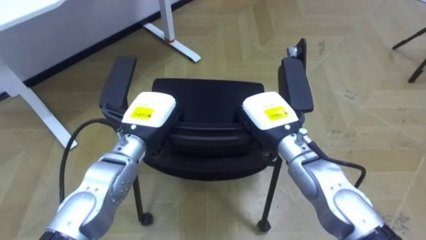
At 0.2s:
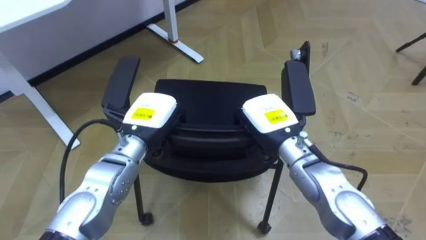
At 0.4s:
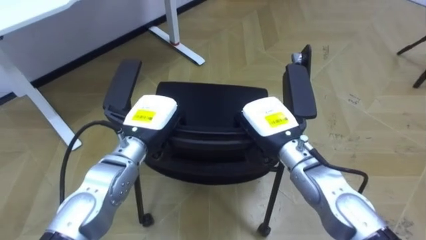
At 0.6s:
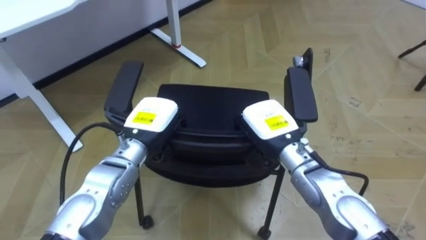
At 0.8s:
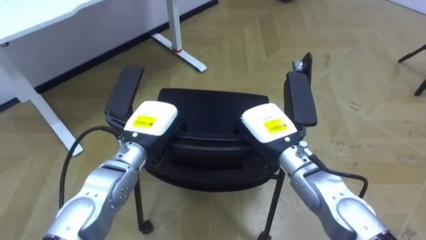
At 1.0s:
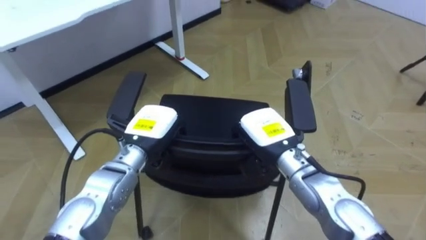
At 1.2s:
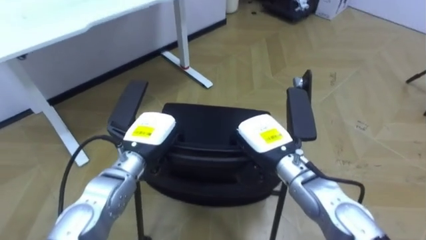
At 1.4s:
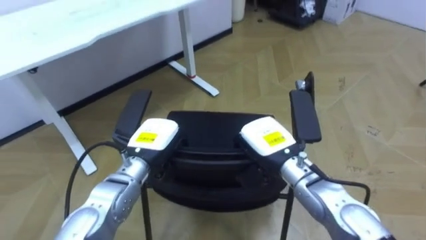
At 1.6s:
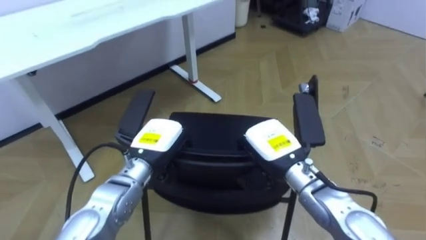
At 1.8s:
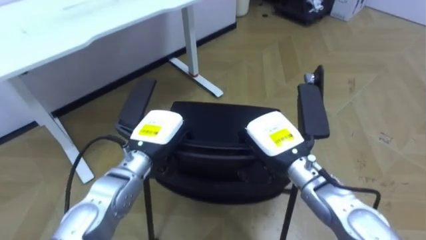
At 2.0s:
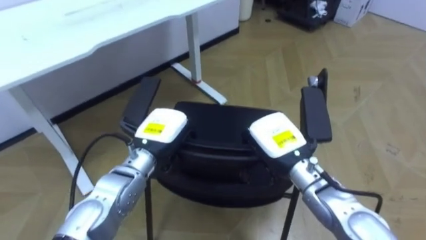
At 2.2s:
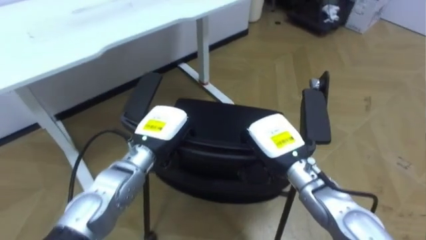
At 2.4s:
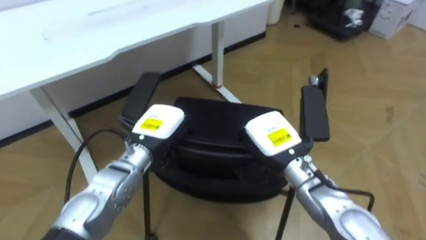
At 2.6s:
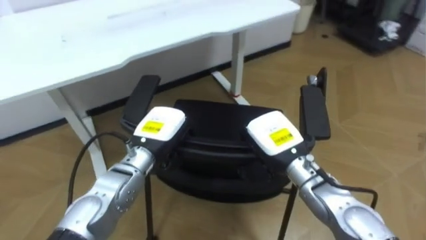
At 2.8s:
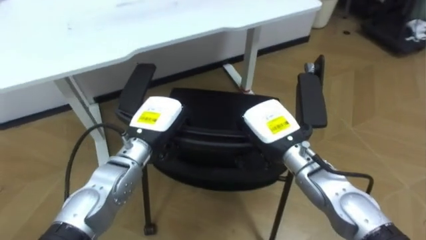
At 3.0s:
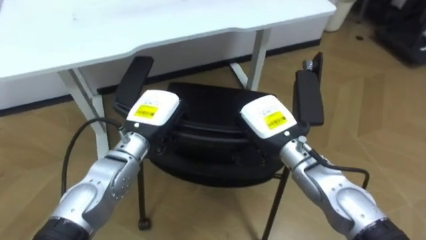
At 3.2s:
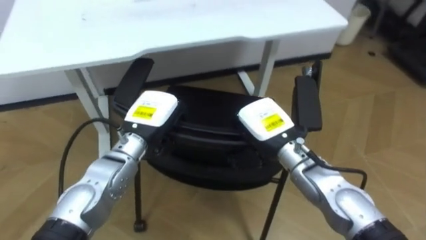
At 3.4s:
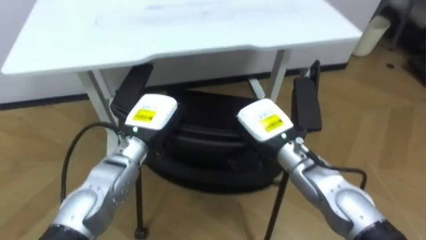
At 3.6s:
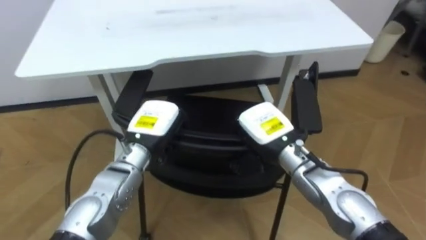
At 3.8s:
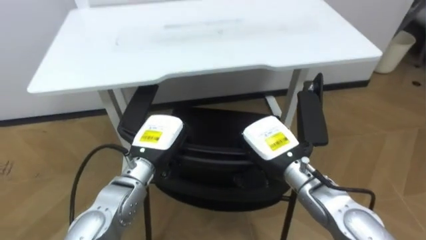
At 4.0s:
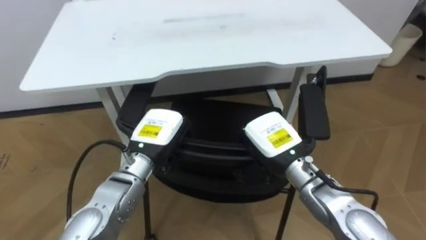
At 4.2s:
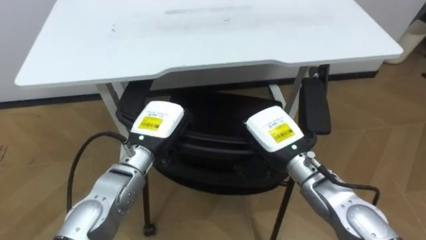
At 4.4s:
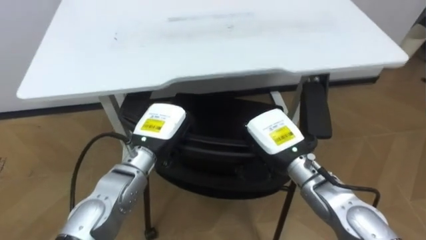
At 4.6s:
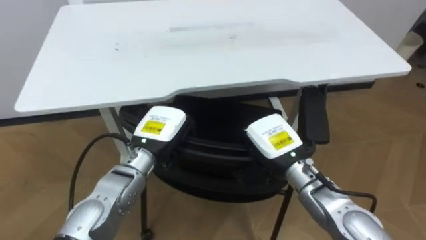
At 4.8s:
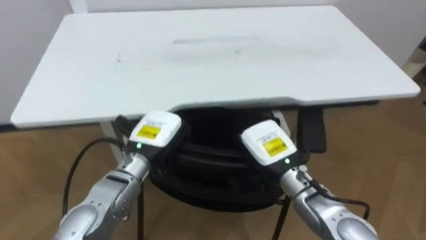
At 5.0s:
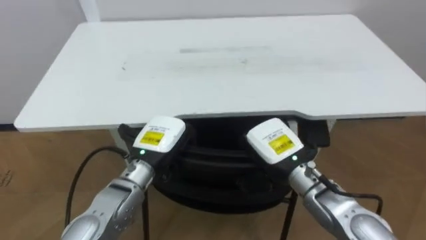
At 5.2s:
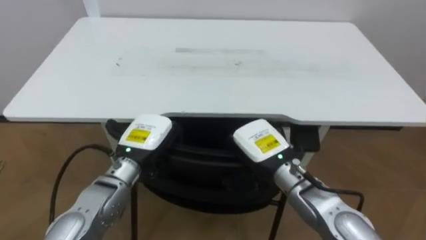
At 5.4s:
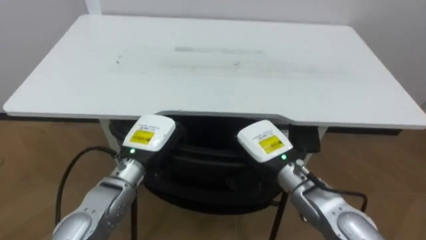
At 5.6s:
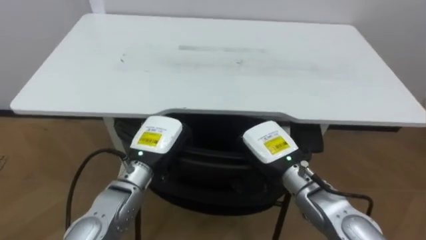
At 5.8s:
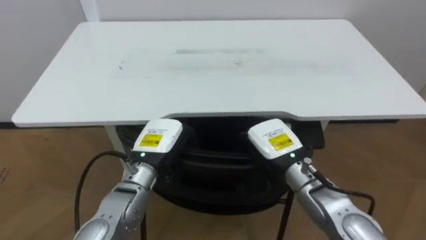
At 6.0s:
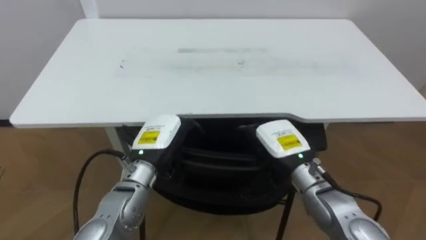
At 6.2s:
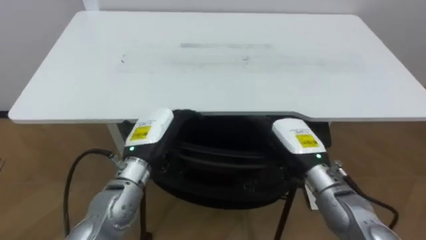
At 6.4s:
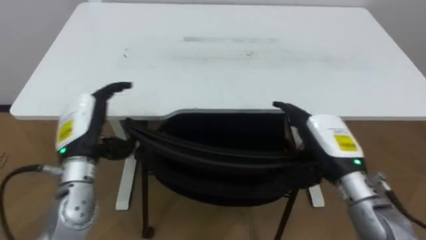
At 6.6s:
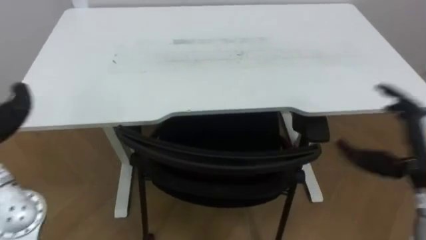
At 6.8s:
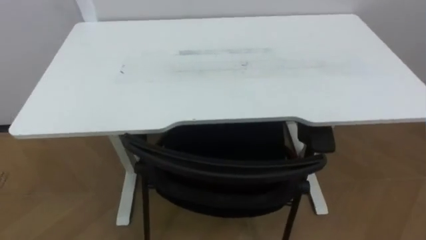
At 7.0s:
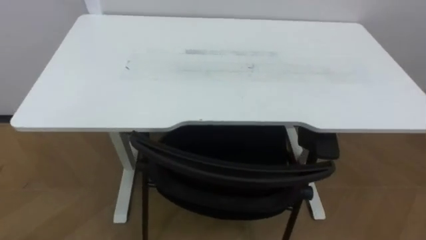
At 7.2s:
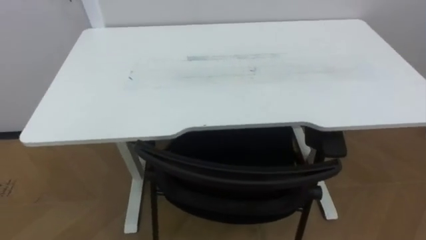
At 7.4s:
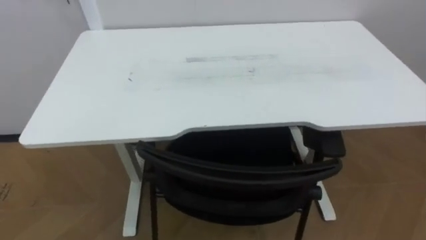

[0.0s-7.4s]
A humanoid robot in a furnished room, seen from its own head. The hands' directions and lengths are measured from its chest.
Task of the whole recording: Push the chair under the table.
0.0s to 1.4s: The right hand moves some 5 cm. The left hand is displaced downward by about 5 cm.
1.4s to 3.0s: The robot's body swings roughly 20 degrees to its left. The left hand changes place by approximately 5 cm.
4.4s to 6.0s: The right hand opens.

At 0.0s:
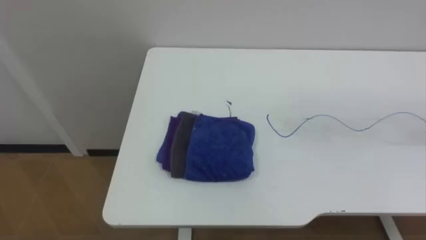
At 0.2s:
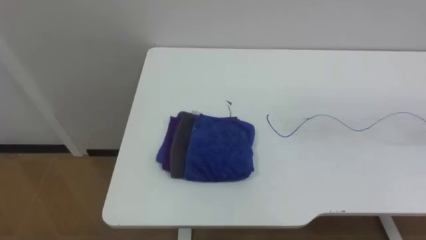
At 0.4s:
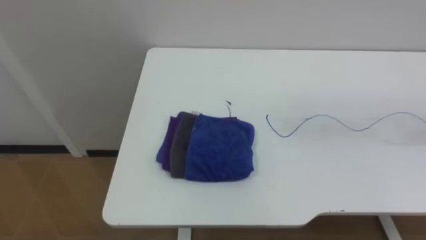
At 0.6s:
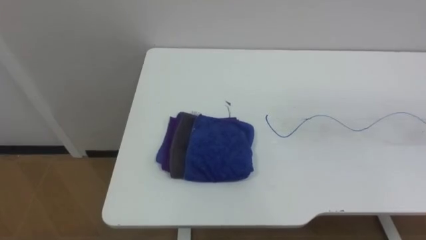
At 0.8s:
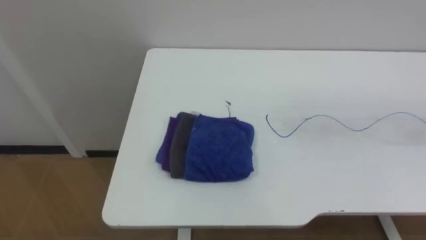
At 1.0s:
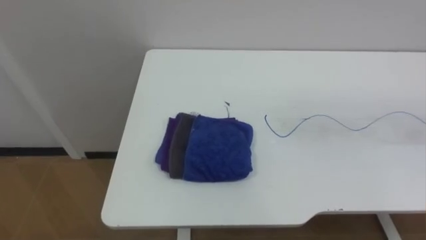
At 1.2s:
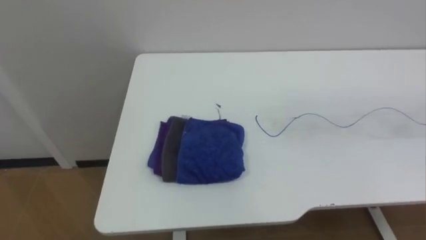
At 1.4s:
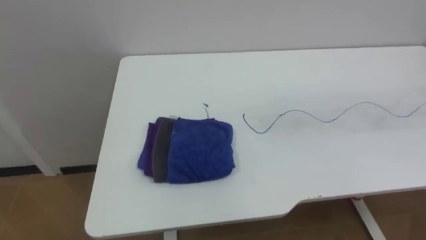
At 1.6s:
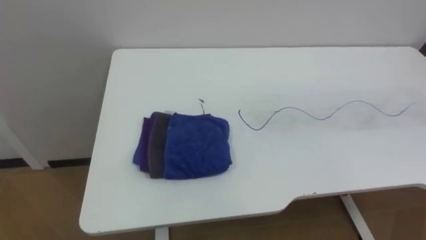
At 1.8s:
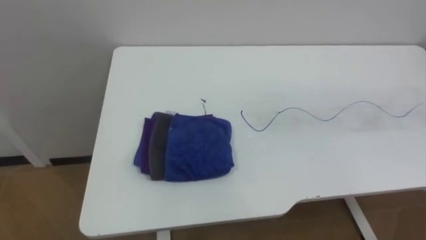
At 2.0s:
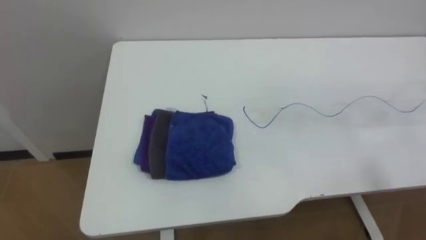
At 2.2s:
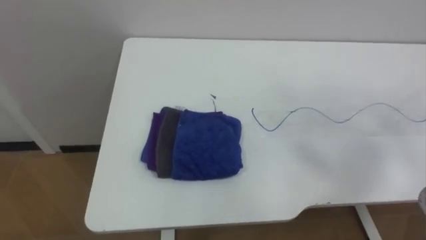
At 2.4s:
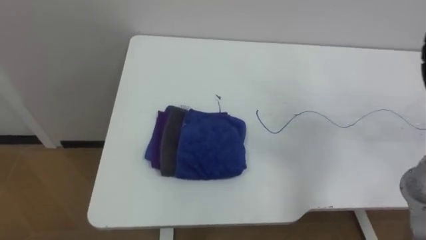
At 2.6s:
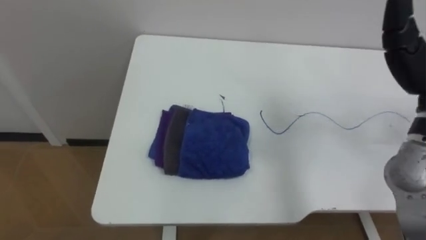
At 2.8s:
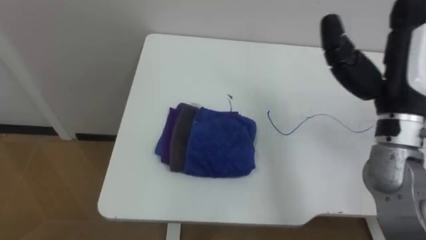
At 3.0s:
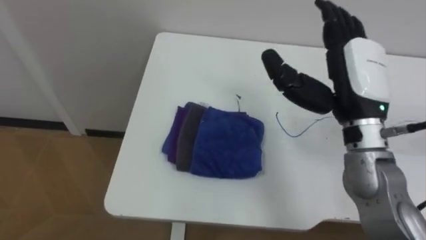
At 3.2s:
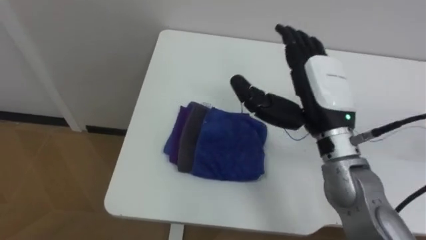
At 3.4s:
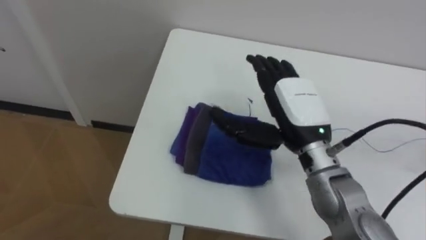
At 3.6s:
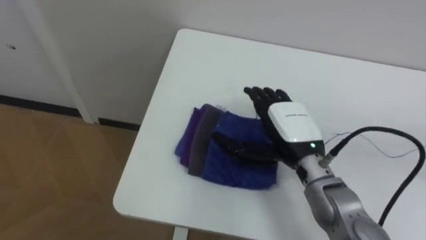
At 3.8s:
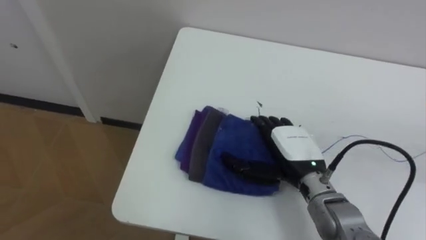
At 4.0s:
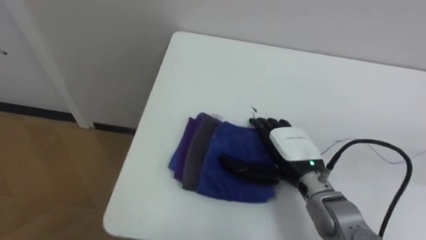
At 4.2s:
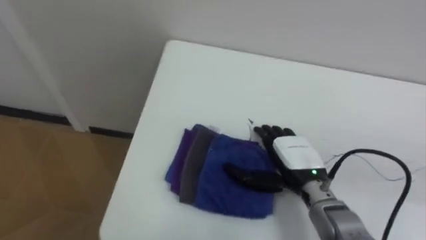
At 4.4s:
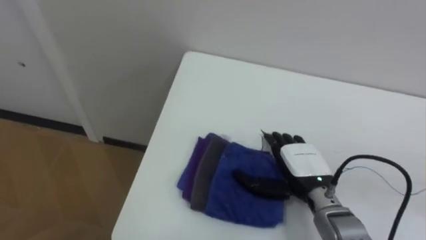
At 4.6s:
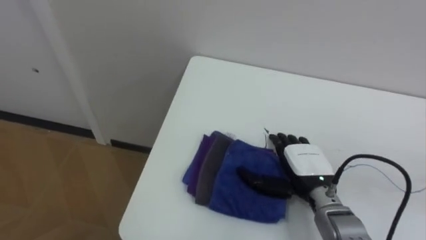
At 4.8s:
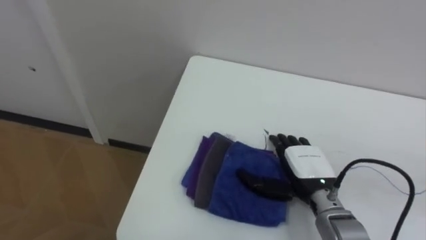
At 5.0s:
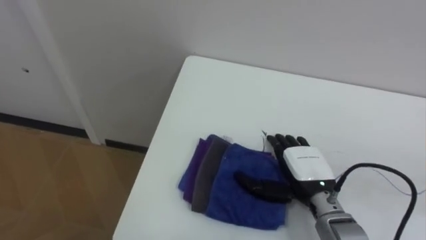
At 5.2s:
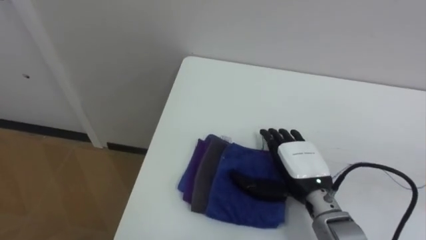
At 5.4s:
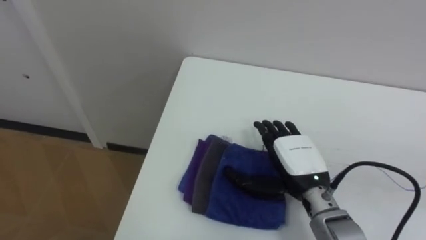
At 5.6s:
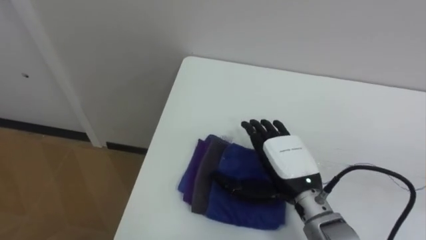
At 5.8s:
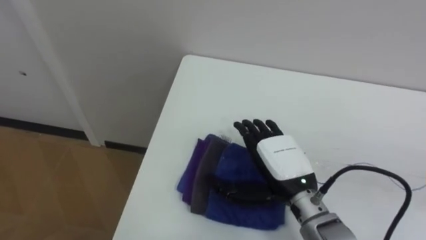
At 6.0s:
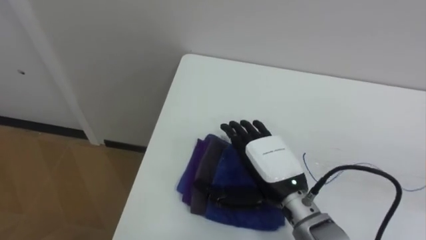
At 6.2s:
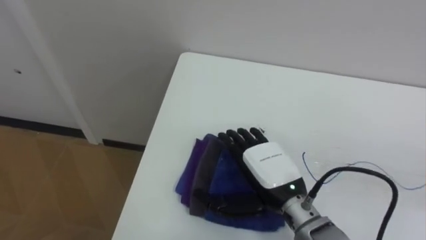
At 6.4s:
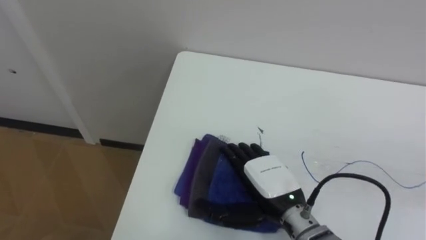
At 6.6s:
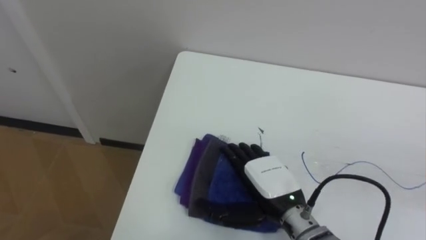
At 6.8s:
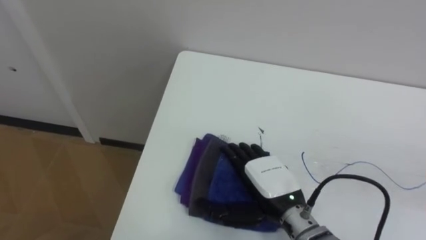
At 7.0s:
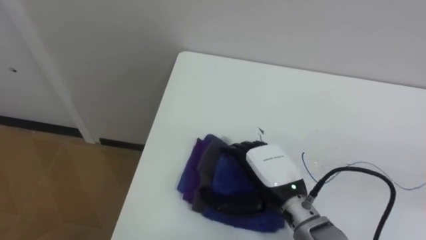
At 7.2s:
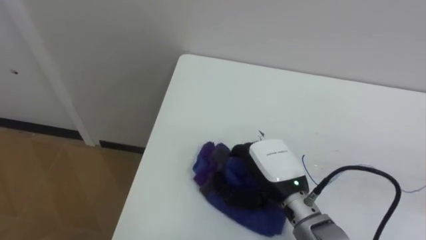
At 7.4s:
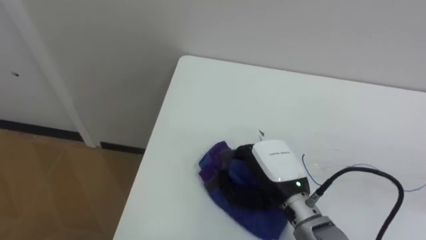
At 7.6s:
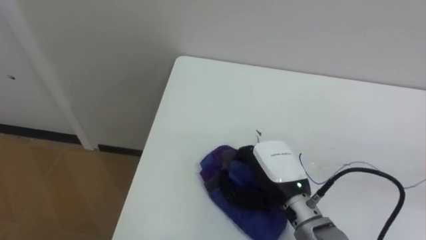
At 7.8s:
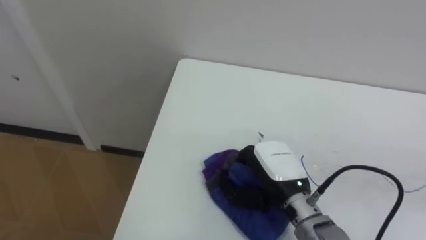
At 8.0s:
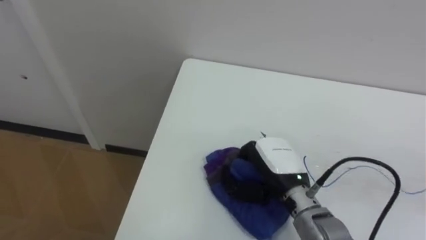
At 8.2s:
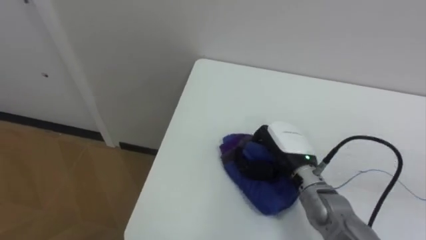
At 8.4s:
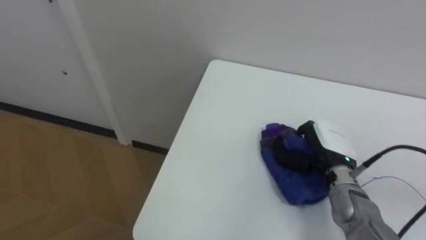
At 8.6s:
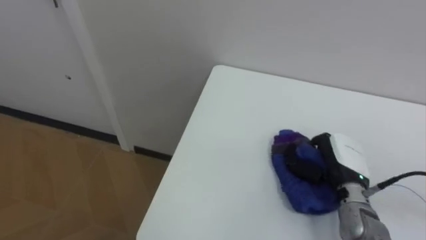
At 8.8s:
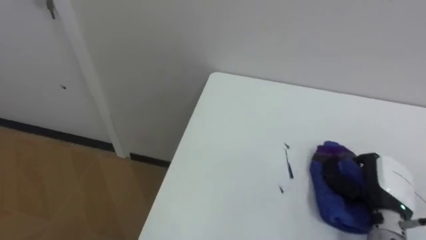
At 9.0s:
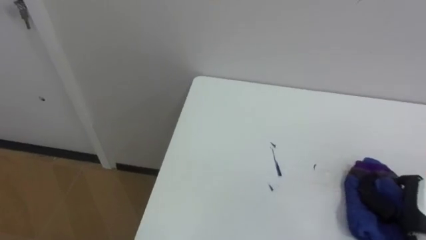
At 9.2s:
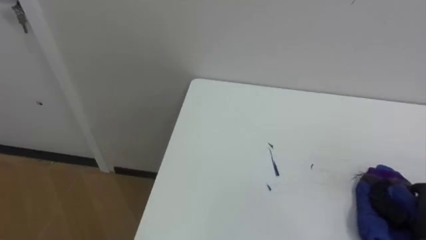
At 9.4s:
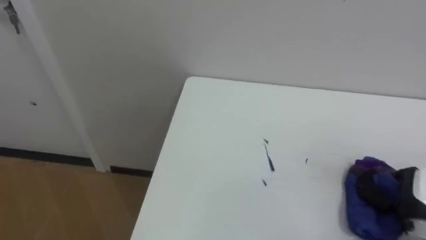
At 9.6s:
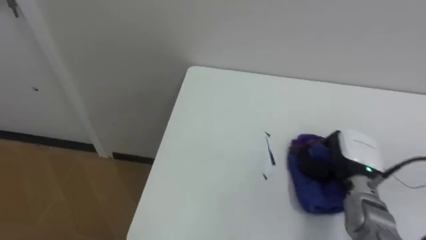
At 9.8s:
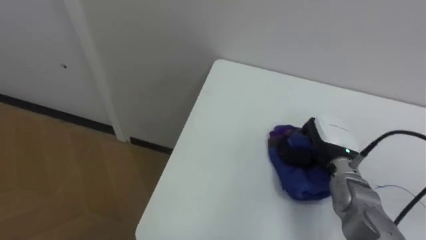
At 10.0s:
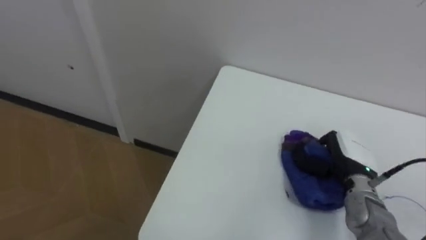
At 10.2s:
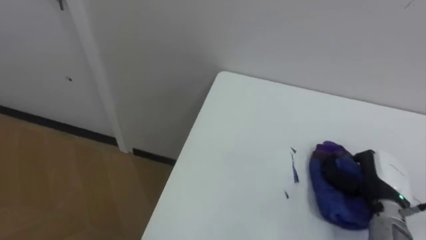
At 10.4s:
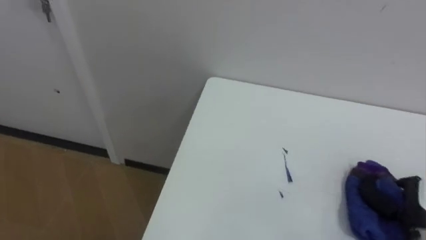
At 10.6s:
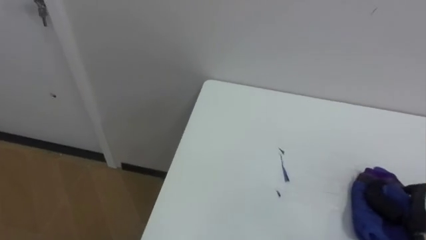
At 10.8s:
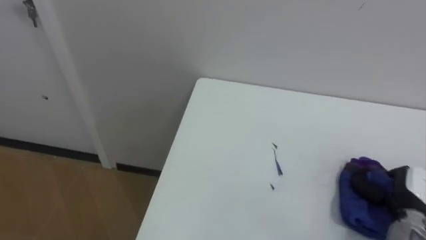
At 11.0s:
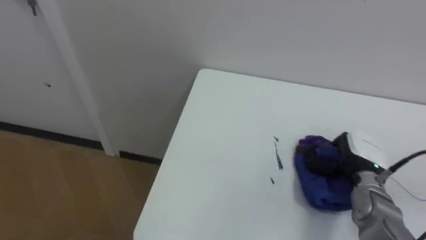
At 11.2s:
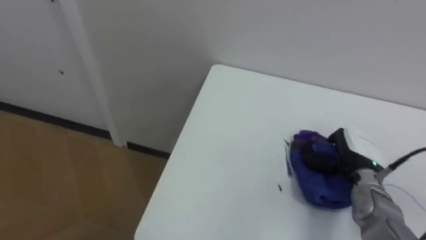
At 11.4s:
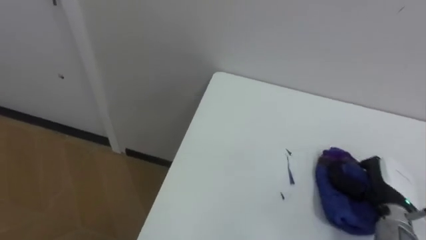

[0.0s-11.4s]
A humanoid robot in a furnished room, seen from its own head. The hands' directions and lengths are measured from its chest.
Task of the whole recording: Wipe the blue pen marks off the table with the rag.
2.8s to 4.2s: The right hand travels downward and to the left by some 25 cm.
5.6s to 7.2s: The right hand closes.
7.2s to 8.6s: The right hand goes roughly 15 cm to the right, and closes up.
10.0s to 11.4s: The right hand swings forward and backward, approximately 15 cm each way, with 2 reversals.
